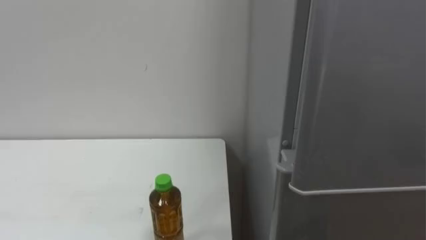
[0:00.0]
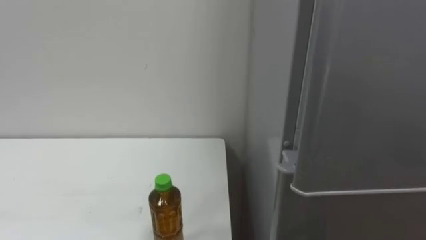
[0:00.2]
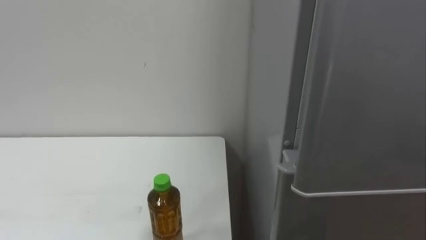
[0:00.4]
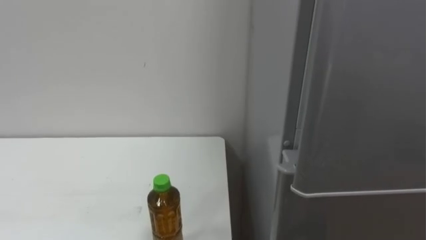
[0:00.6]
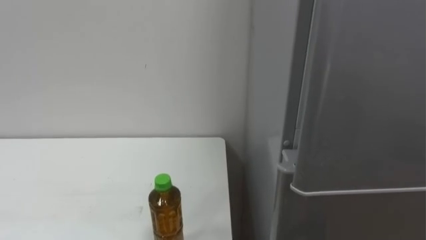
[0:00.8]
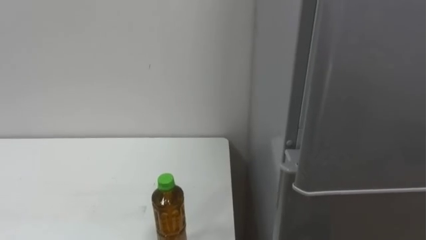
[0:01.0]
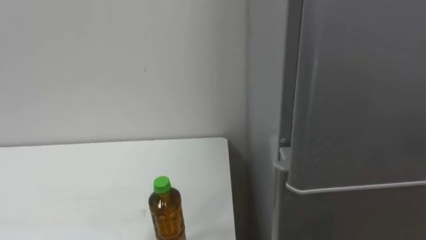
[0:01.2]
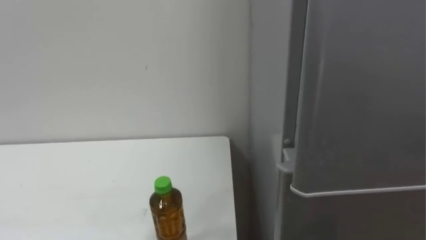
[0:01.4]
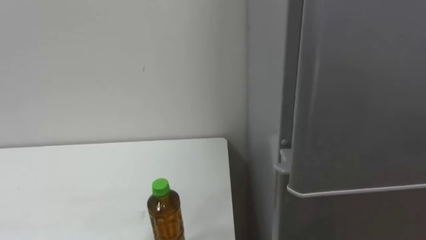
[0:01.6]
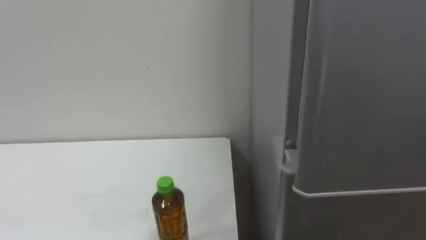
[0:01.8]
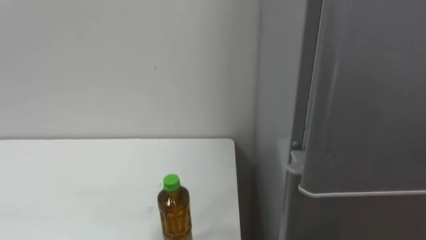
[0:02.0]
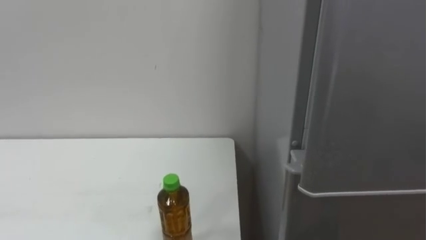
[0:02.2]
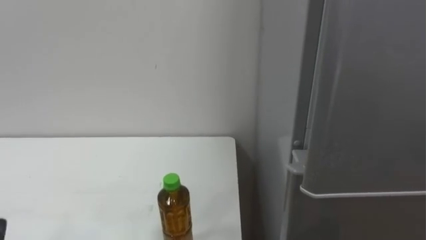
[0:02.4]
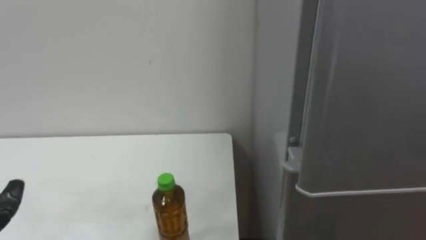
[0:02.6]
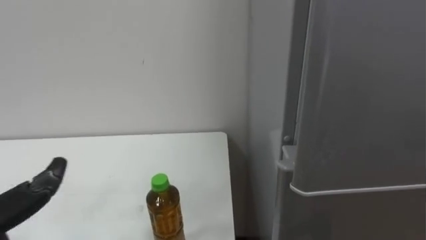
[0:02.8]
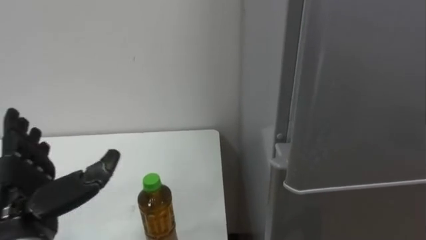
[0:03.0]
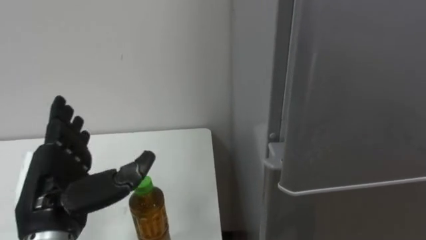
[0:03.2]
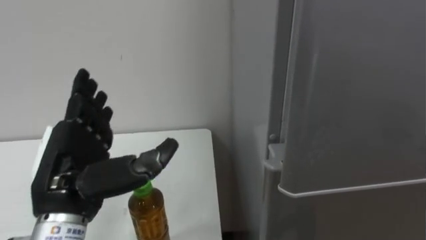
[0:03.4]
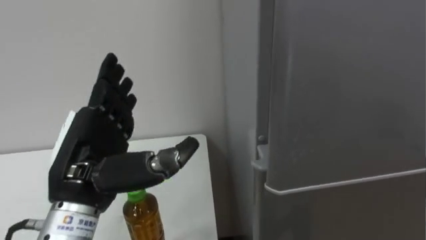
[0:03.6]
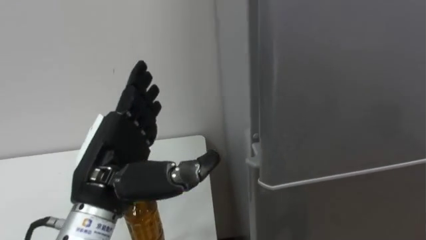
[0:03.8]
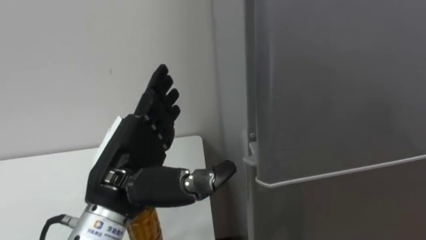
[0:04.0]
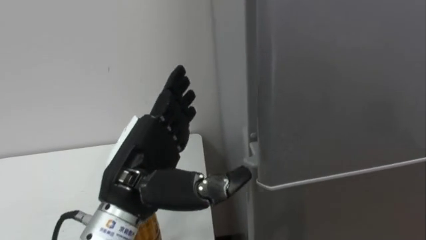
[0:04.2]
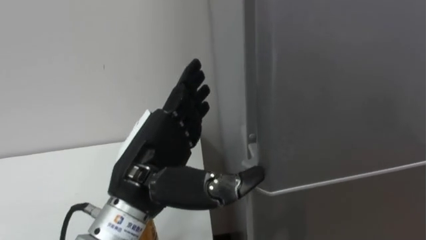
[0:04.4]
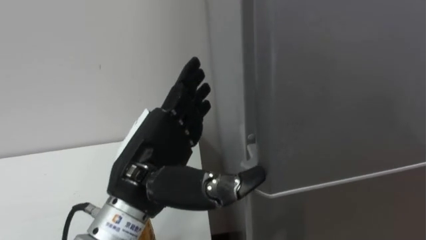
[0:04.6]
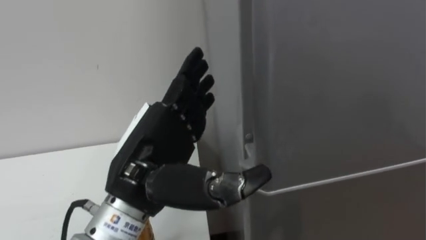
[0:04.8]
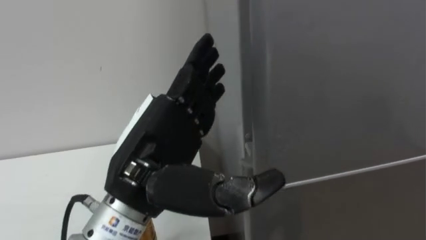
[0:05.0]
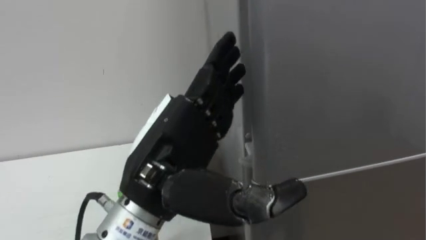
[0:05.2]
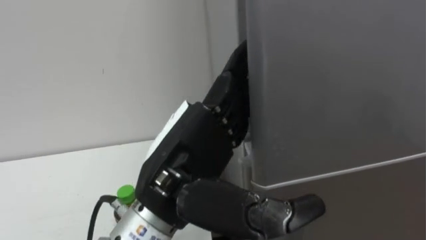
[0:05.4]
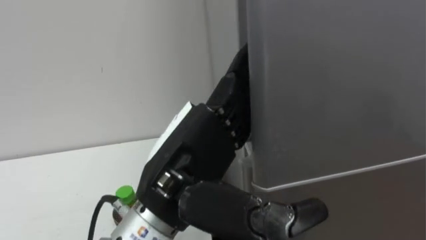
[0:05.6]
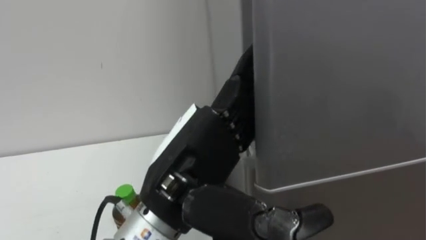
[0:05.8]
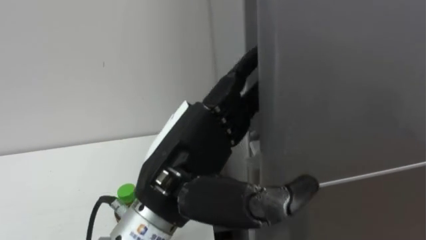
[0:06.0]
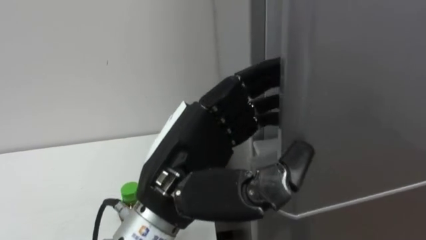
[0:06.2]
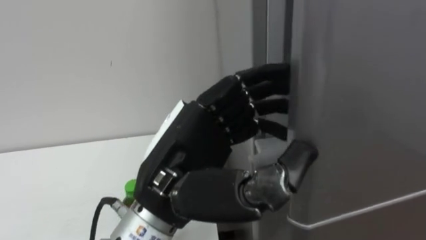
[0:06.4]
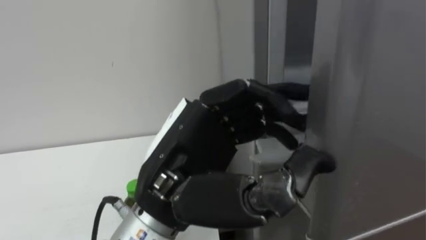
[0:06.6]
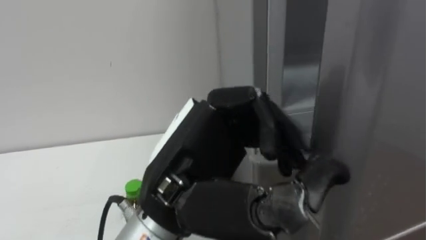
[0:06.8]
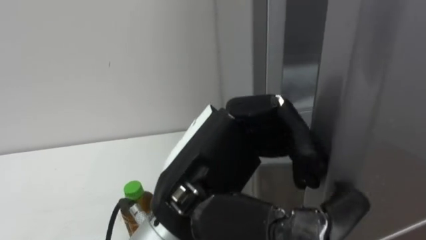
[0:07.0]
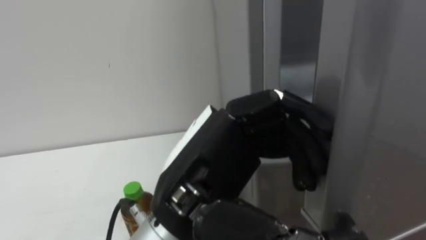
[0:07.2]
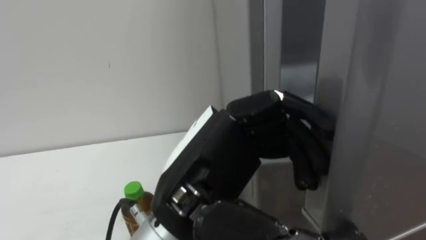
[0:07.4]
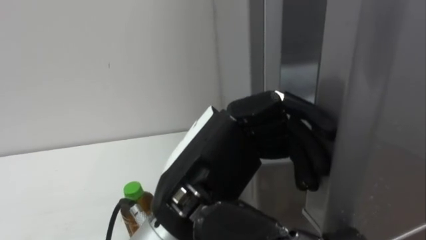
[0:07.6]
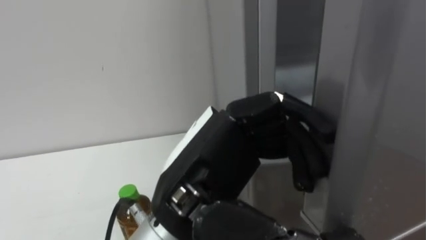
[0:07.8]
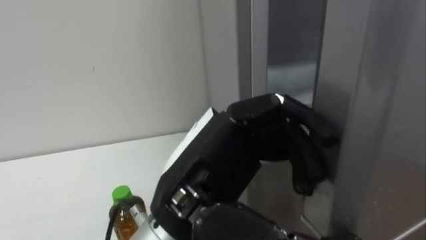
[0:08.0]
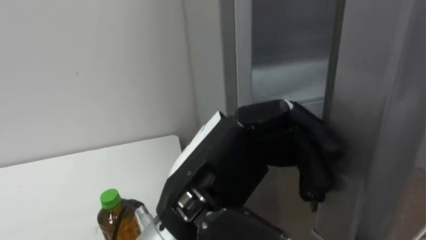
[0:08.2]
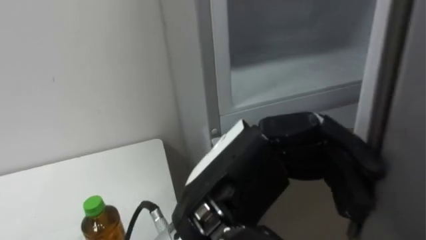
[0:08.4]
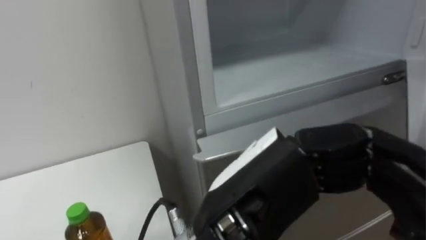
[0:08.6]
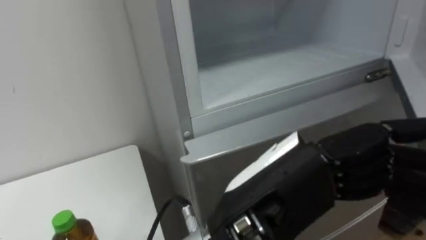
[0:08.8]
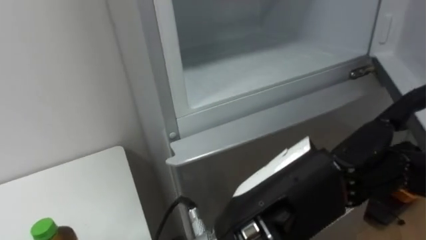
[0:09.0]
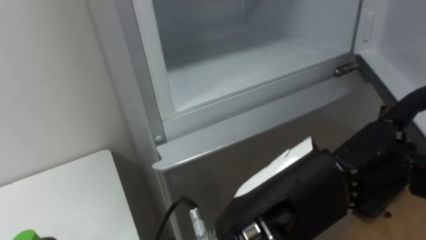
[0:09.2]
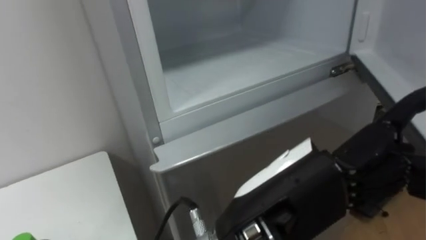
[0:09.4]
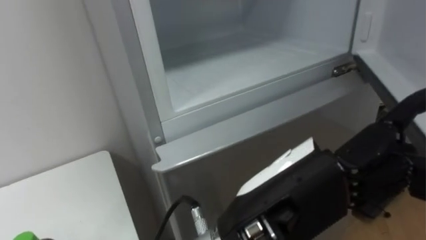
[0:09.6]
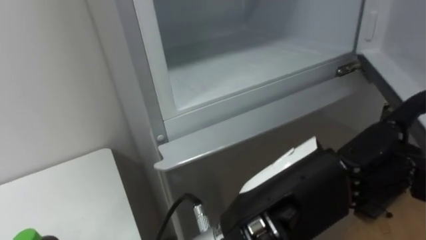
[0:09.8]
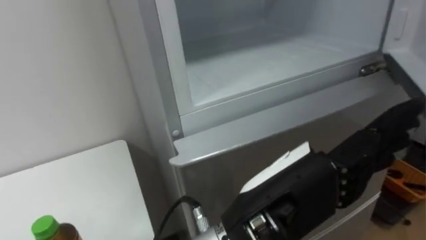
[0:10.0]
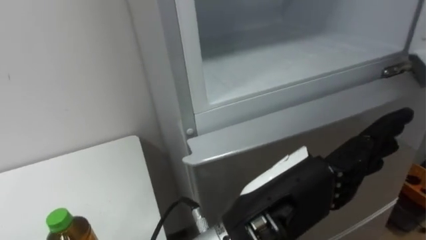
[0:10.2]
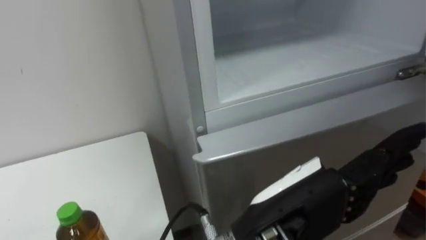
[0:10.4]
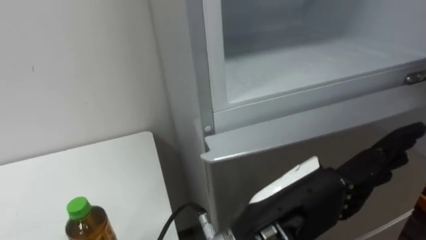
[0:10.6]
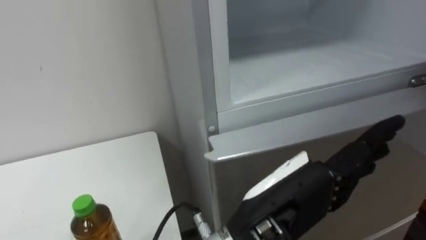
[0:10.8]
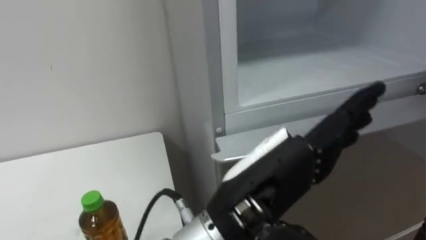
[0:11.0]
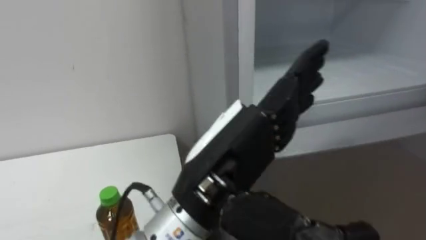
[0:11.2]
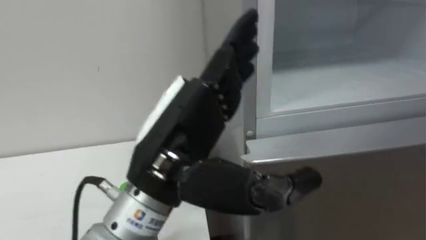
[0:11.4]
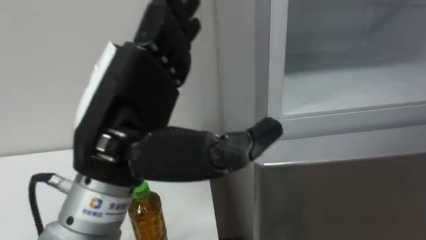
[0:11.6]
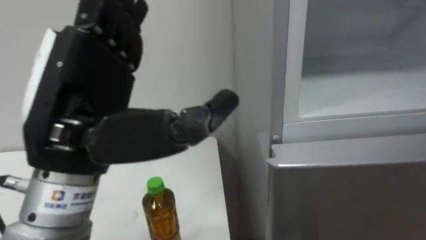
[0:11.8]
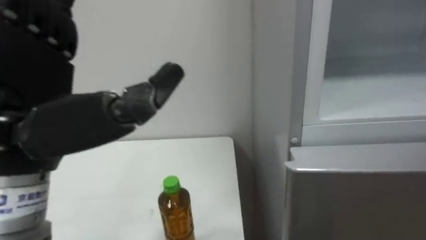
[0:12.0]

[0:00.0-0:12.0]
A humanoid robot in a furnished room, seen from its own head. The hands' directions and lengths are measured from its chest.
Task of the whole recording: Open the upper refrigerator door, put the drink from the table into the refrigerator, and then close the refrigerator door.
0:03.0 to 0:04.4: The left hand travels to the right by some 15 cm.
0:04.4 to 0:06.0: The left hand moves about 5 cm.
0:06.0 to 0:07.6: The left hand closes, then reopens.
0:07.6 to 0:09.0: The left hand goes some 5 cm to the right.
0:10.4 to 0:12.0: The left hand is displaced to the left and upward by roughly 25 cm.

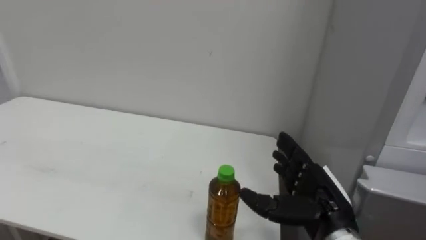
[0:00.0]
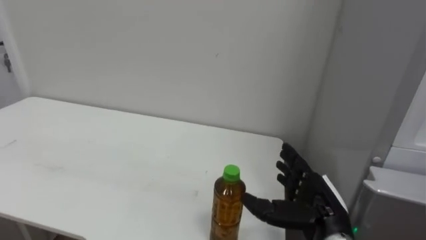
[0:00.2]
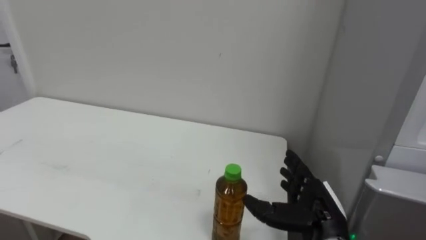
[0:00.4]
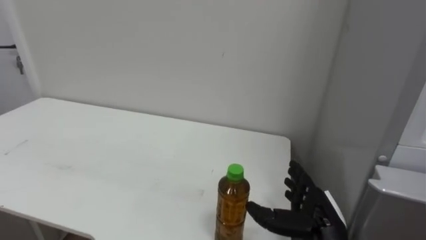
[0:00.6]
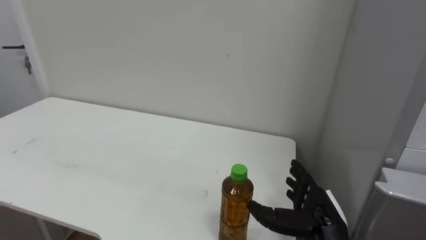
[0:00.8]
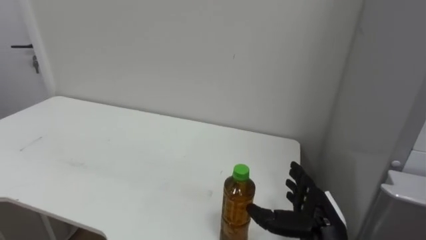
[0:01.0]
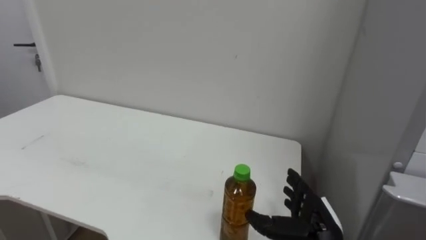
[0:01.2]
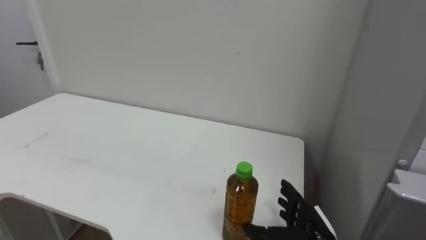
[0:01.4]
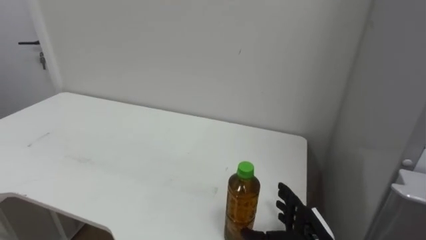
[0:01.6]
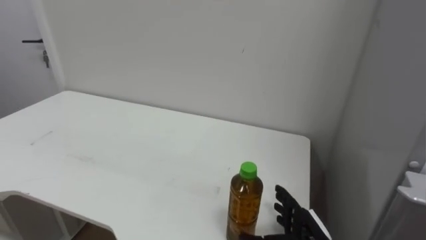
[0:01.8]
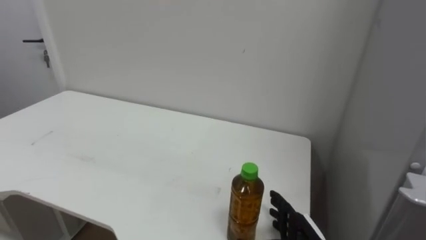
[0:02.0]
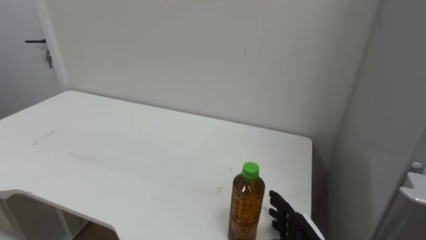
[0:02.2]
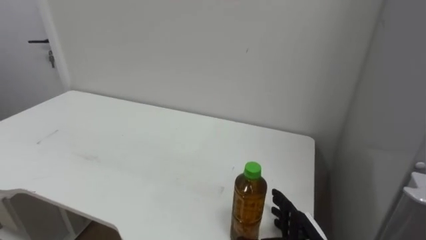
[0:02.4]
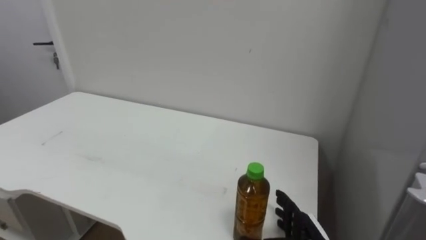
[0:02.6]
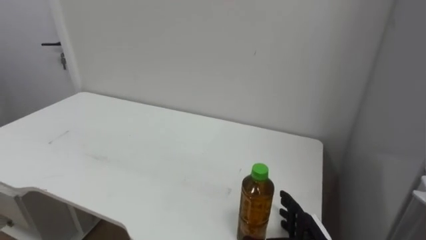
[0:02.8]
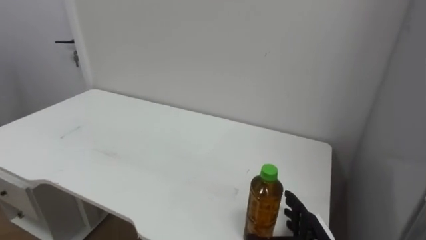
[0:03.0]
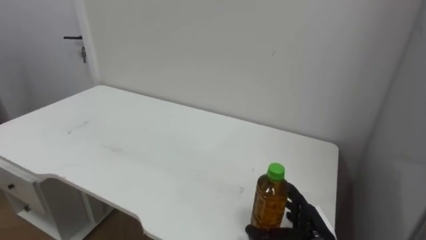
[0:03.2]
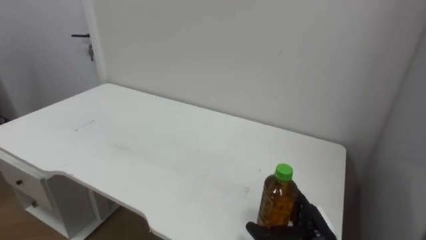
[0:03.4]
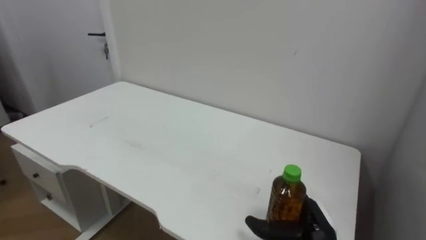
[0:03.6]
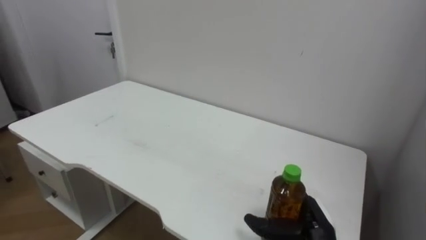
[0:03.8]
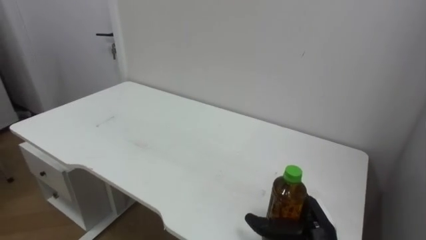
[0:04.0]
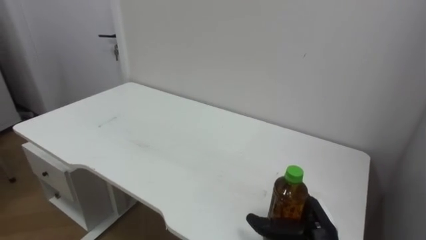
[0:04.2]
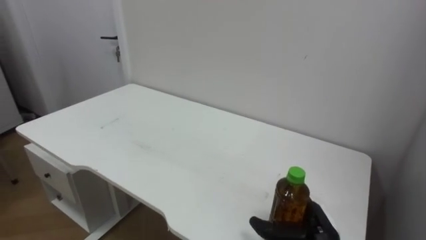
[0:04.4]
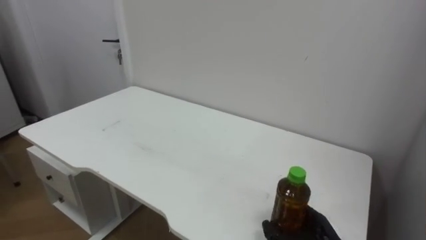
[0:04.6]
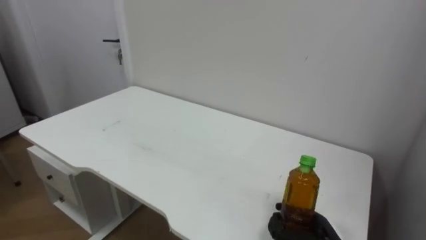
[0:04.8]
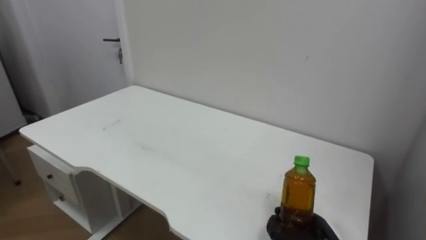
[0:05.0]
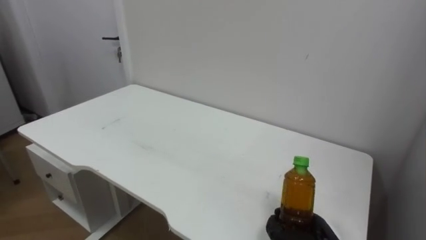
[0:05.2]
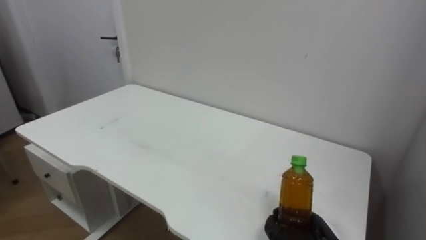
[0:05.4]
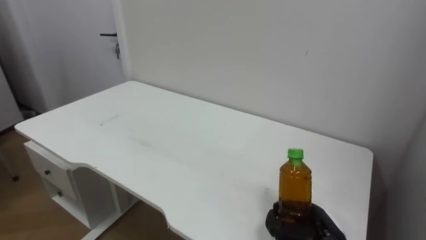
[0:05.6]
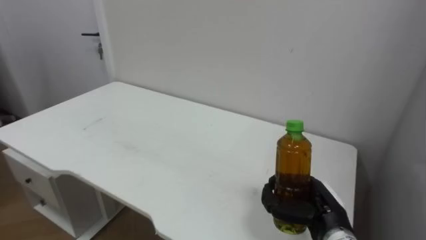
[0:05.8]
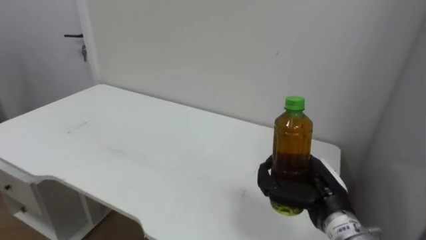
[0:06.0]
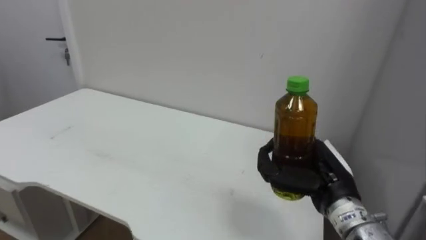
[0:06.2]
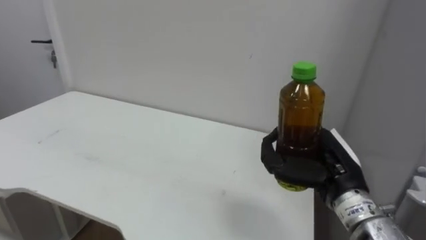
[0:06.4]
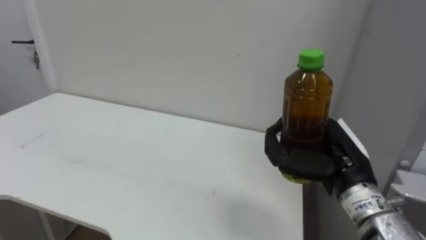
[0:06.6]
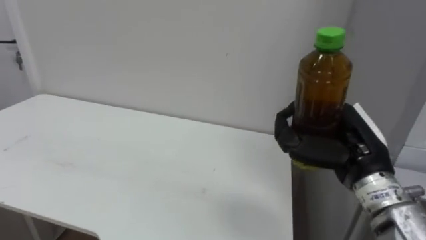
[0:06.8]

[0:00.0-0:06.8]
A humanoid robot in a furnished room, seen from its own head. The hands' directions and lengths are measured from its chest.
Task of the whole recording: Open the upper refrigerator door, put the drink from the table into the refrigerator, and then close the refrigerator door.
0:00.0 to 0:01.4: The right hand moves downward, roughly 10 cm.
0:04.0 to 0:05.4: The right hand closes its fingers.
0:05.4 to 0:06.8: The right hand heads upward, covering about 25 cm.
